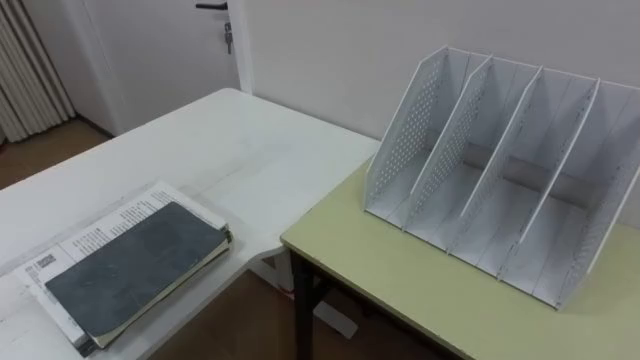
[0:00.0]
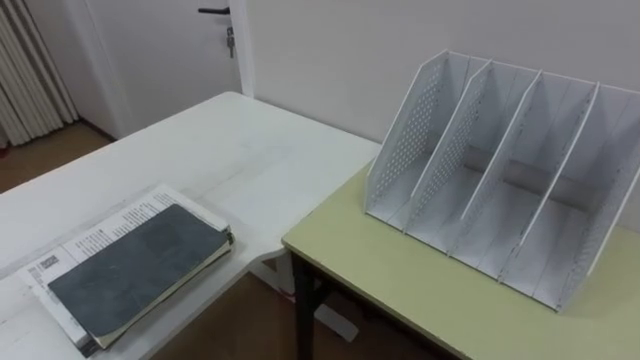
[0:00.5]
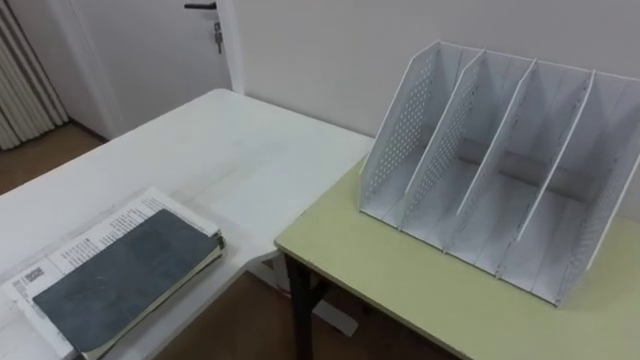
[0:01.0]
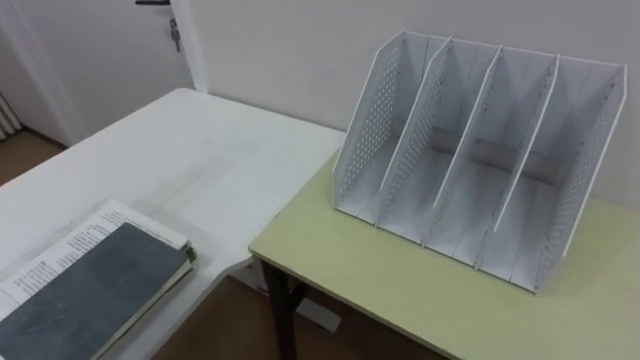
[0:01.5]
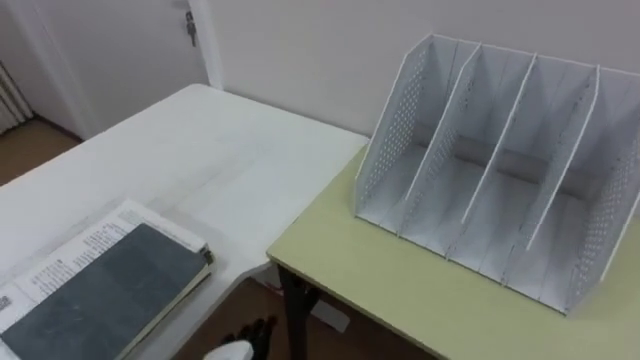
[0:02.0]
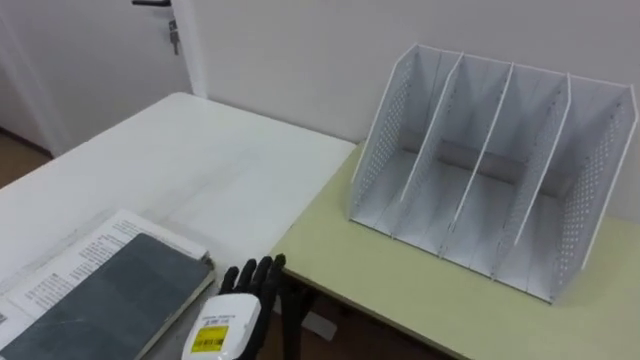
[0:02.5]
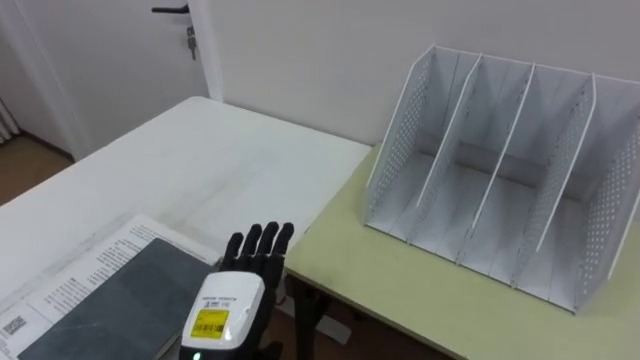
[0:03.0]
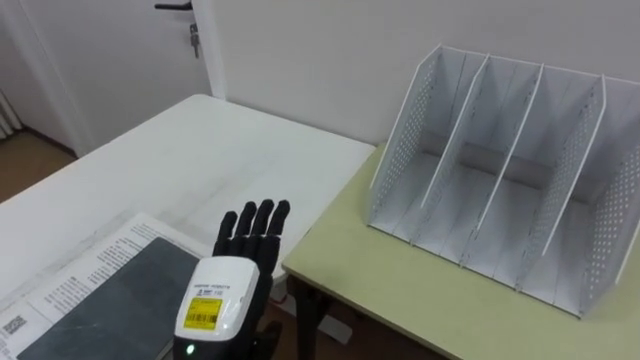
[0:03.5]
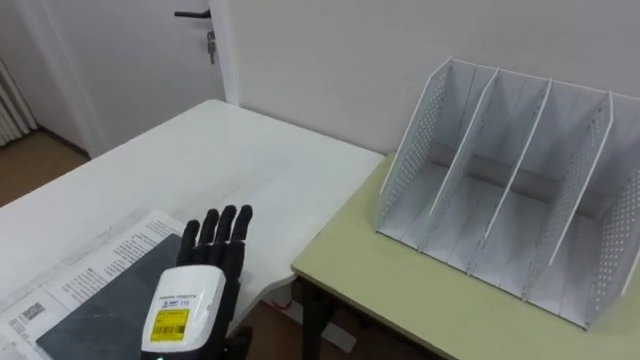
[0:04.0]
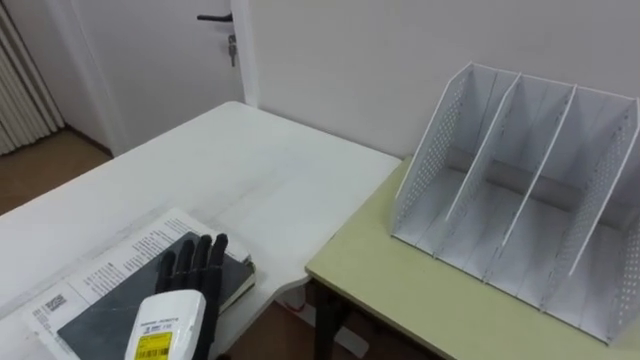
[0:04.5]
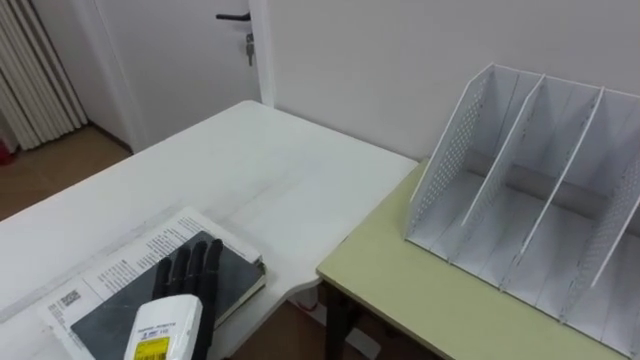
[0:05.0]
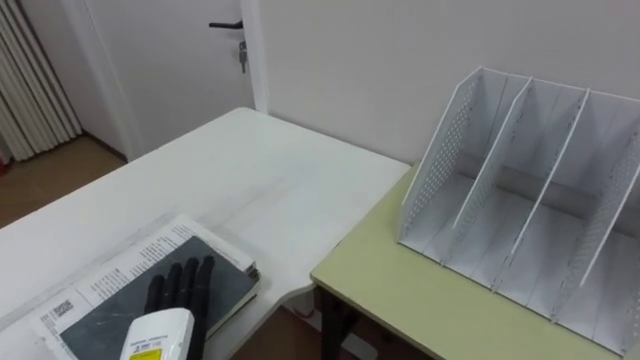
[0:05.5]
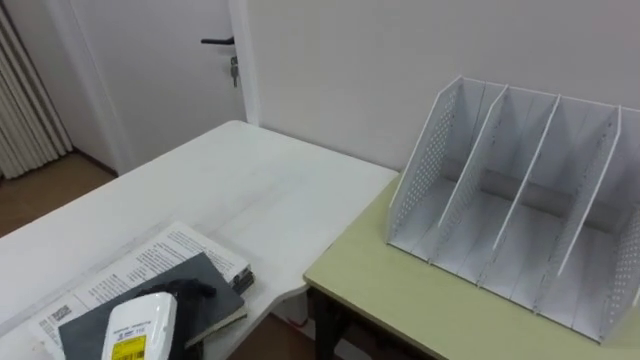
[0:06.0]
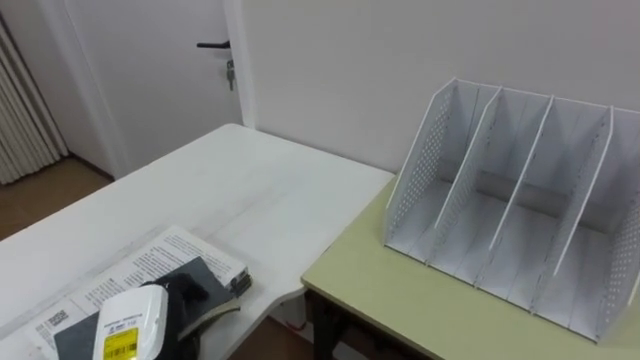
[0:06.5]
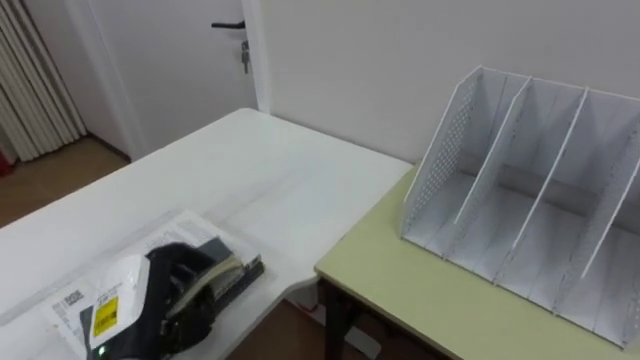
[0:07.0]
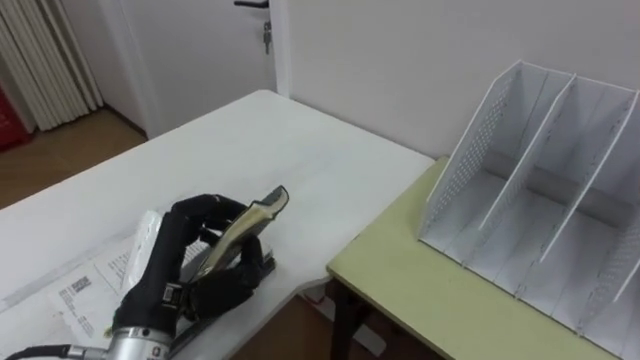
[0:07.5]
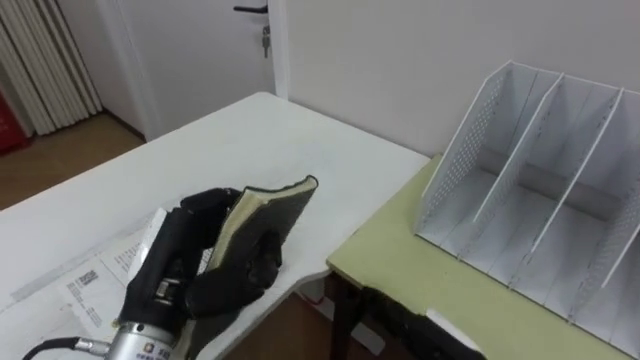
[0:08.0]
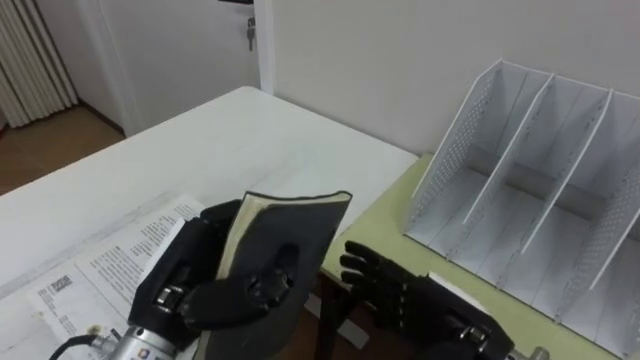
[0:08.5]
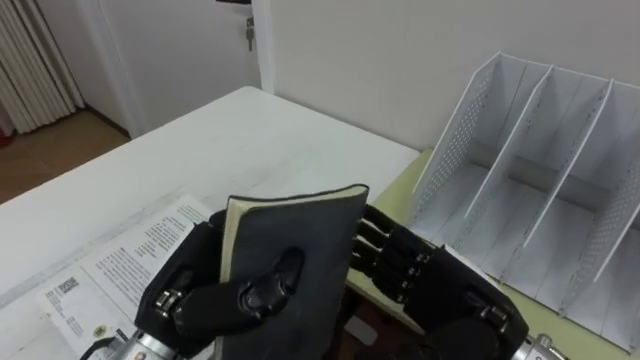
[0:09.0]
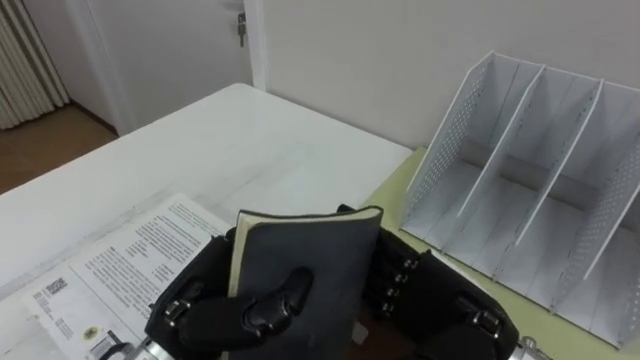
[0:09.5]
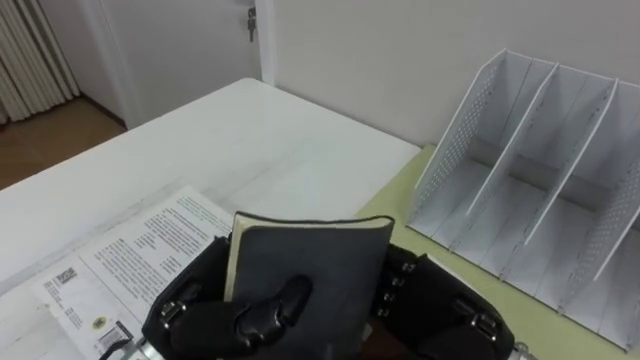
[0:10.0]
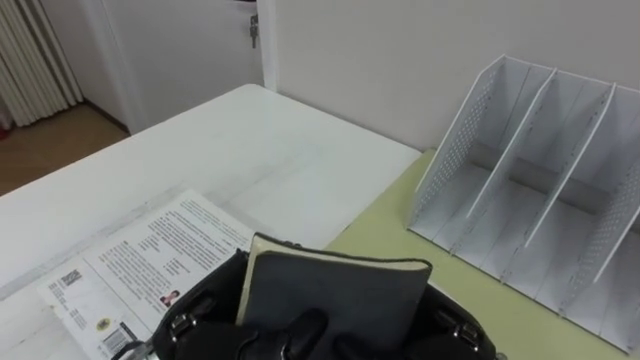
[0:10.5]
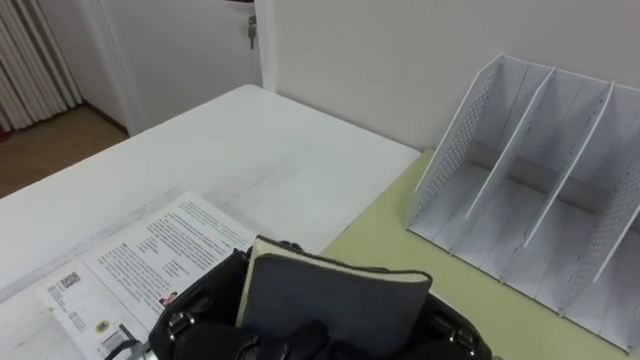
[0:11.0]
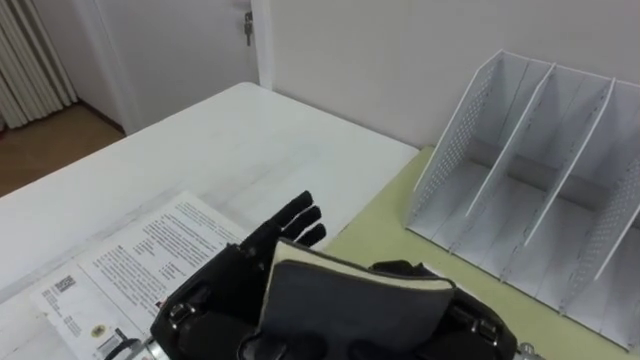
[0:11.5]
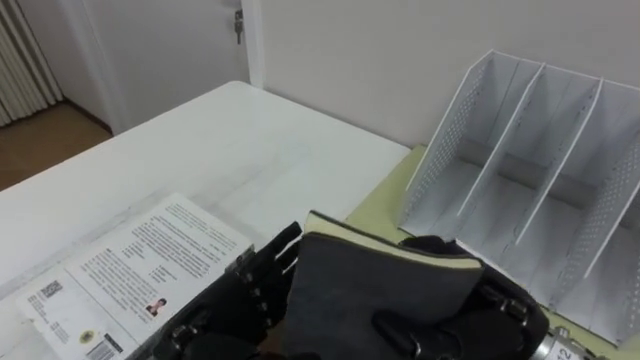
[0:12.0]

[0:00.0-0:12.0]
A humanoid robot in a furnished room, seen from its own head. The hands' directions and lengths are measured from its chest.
Task of the whole recording: Put the books on the table onto the bookshelf.
0:02.0 to 0:04.0: The left hand is displaced upward by some 15 cm.
0:04.0 to 0:06.0: The left hand travels downward and to the left by about 10 cm, and closes its fingers.
0:06.0 to 0:08.0: The left hand is displaced upward by roughly 10 cm.
0:08.0 to 0:10.0: The right hand travels upward by roughly 10 cm, and closes its fingers.
0:10.0 to 0:12.0: The left hand opens. The right hand closes up.

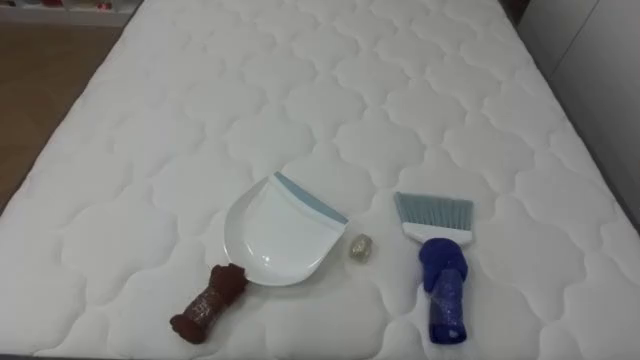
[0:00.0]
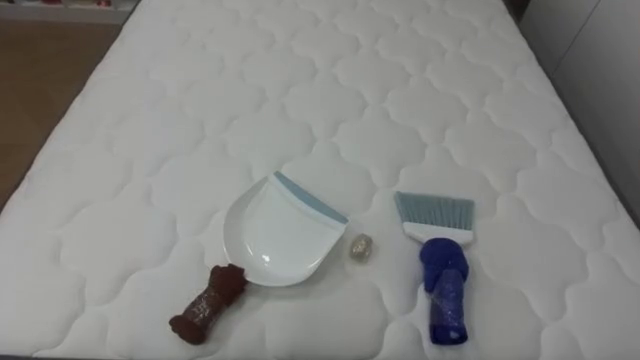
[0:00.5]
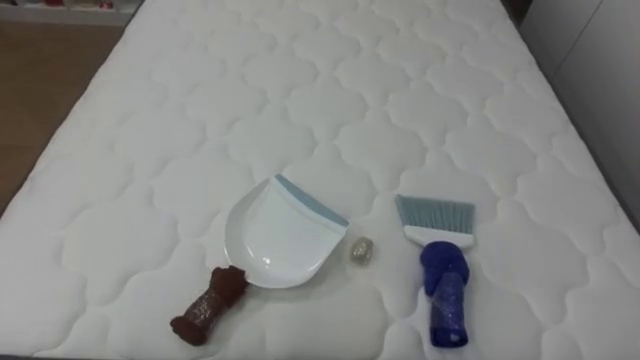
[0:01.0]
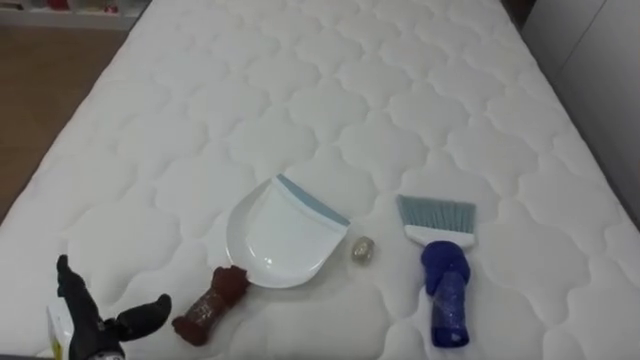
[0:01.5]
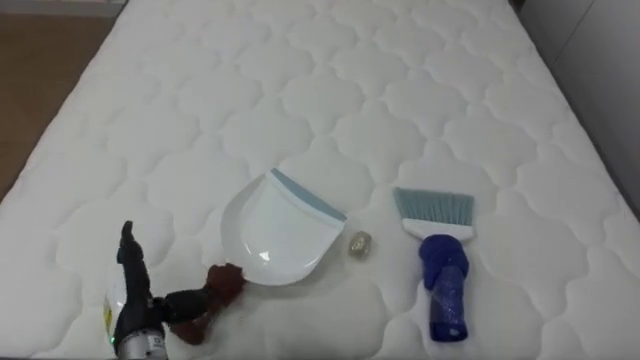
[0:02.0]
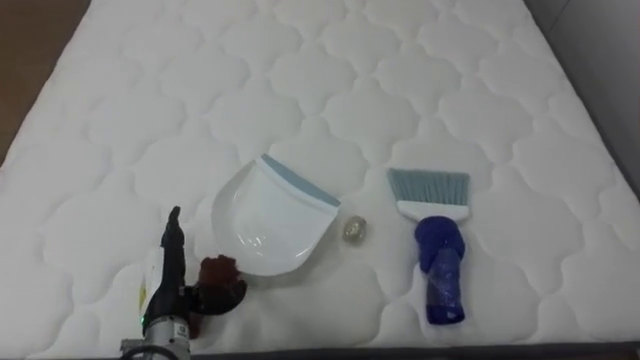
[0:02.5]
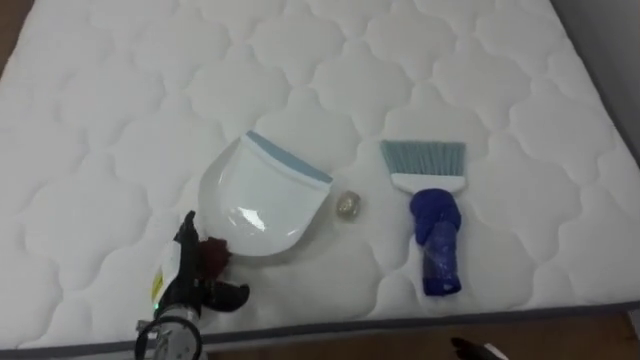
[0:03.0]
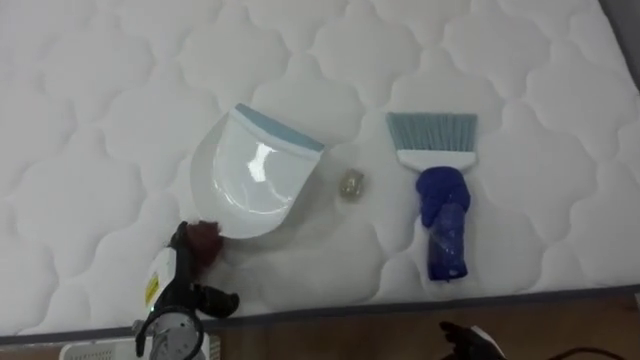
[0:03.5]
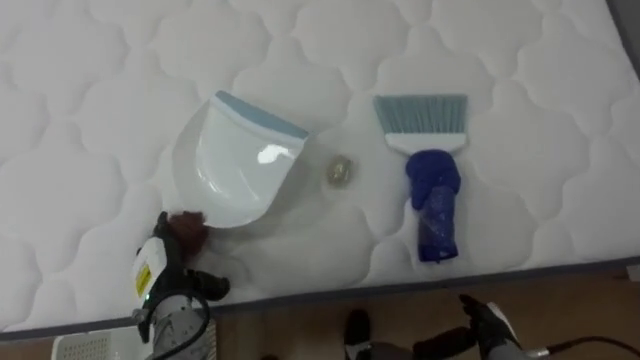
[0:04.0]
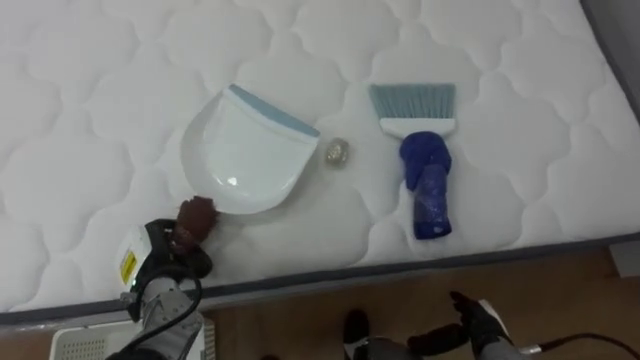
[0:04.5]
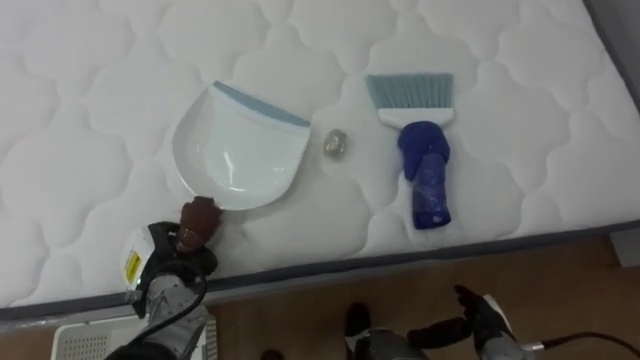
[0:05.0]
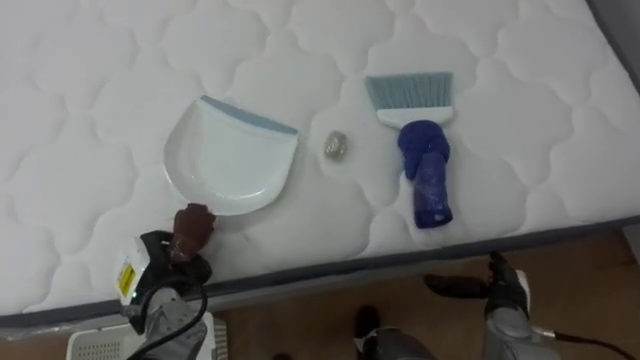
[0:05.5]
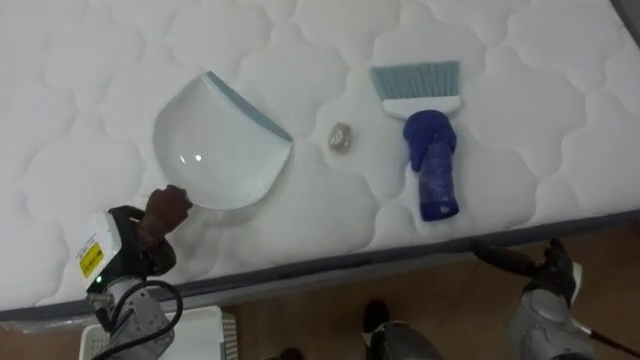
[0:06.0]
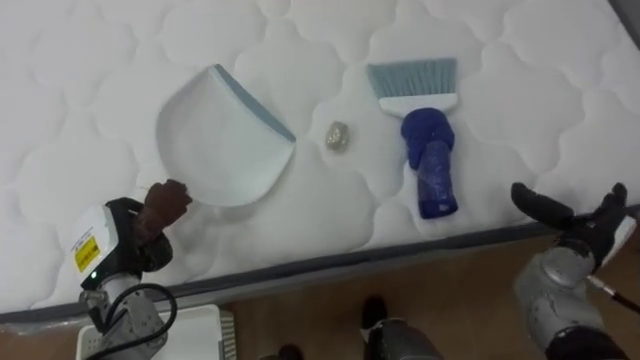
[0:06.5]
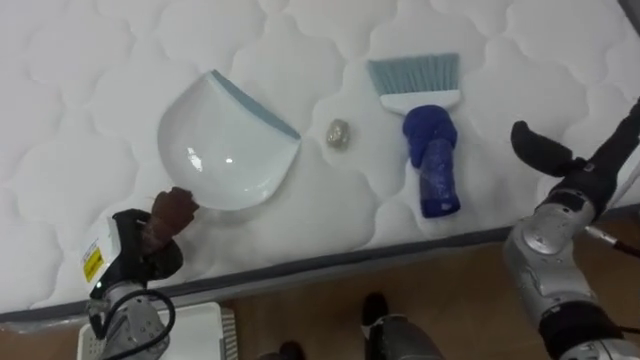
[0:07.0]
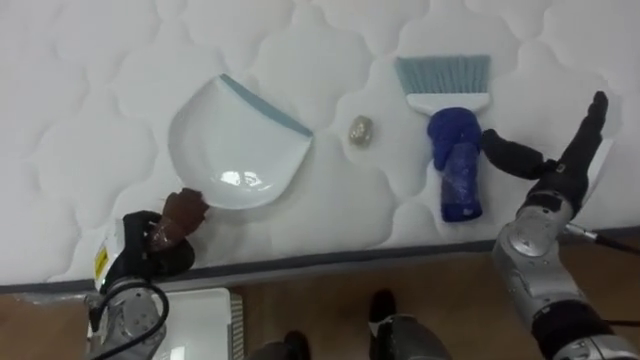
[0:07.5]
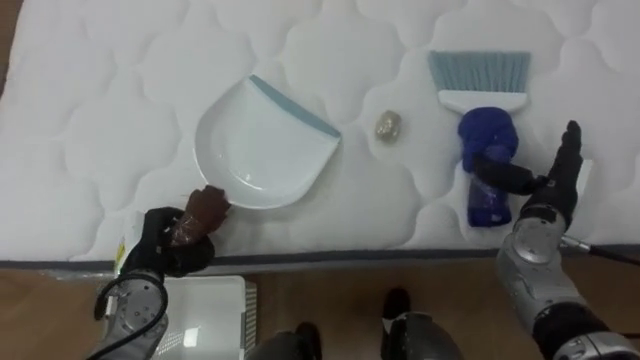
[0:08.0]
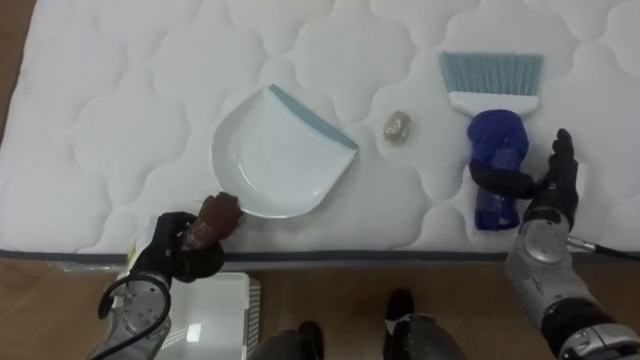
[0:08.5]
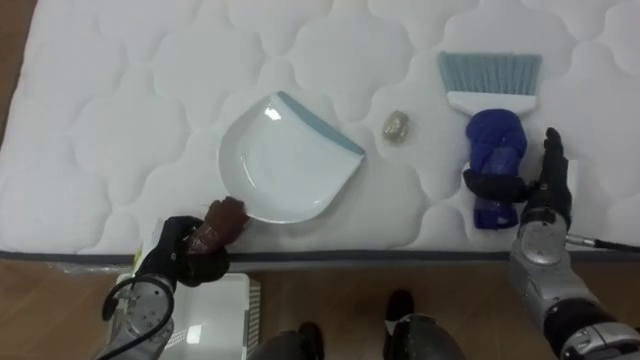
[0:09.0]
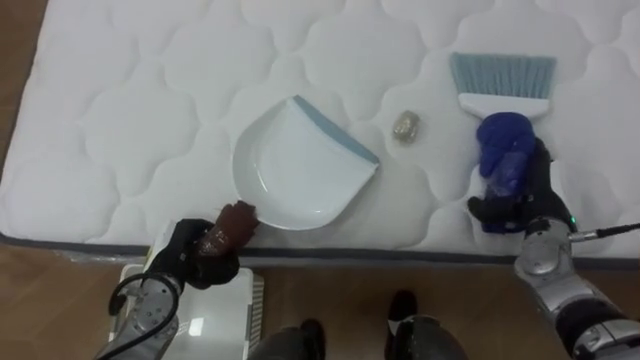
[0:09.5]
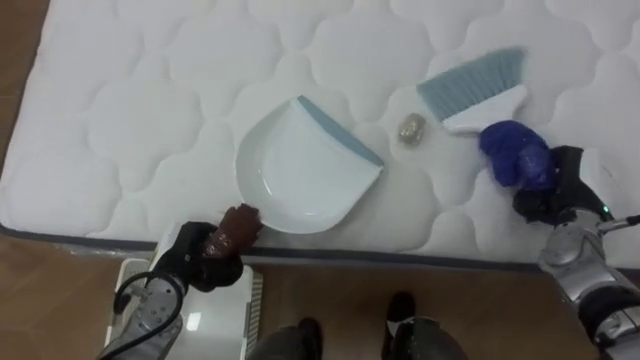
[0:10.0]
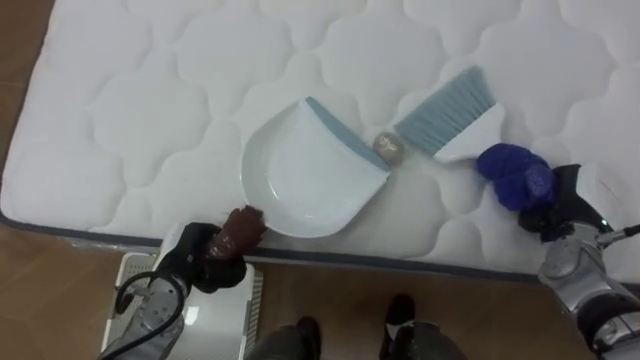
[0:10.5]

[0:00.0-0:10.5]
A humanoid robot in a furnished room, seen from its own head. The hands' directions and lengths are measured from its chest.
Task of the whole recording: Pick up the brush on your right and the dustpan on your left. Use the brush to sweep the crumpled paper on the bed into the dustpan, then turn left and empty it into the basket.
0:02.0 to 0:04.0: The left hand changes place by some 5 cm.
0:04.0 to 0:06.5: The left hand travels to the left and upward by about 10 cm, and closes. Meanwhile the right hand travels upward, to the right and forward by about 20 cm.
0:06.5 to 0:08.5: The right hand is displaced forward by roughly 5 cm, and moves about 10 cm upward and comes back, while the left hand ends up about 5 cm from where it was.
0:08.5 to 0:10.5: The right hand closes up.
